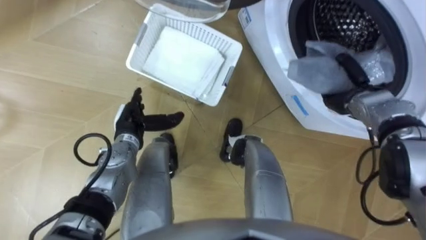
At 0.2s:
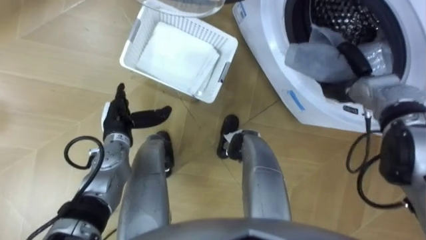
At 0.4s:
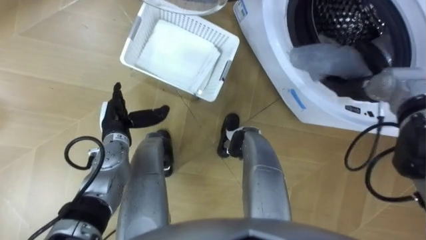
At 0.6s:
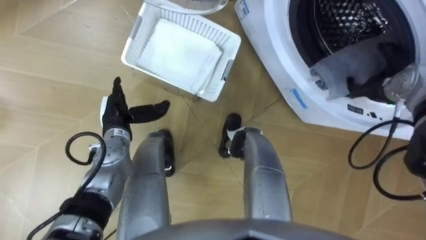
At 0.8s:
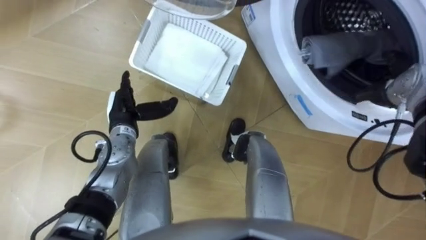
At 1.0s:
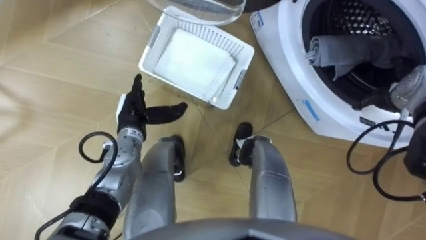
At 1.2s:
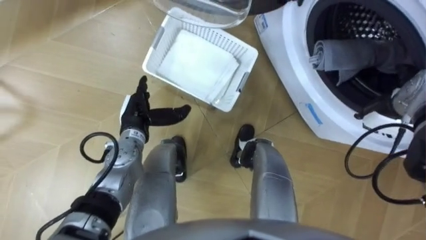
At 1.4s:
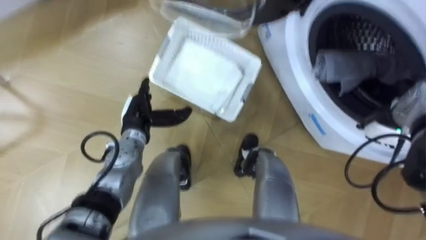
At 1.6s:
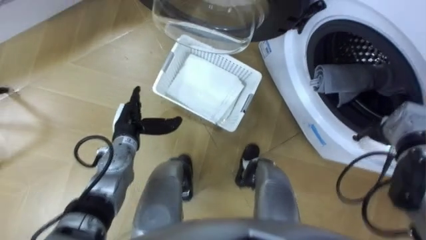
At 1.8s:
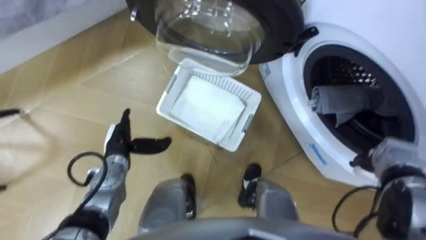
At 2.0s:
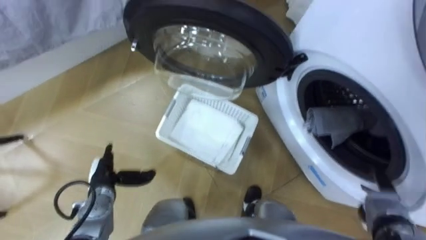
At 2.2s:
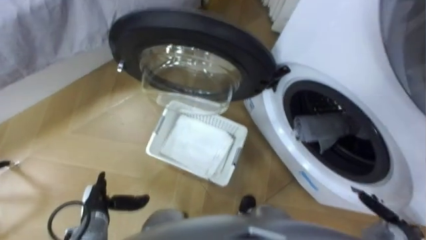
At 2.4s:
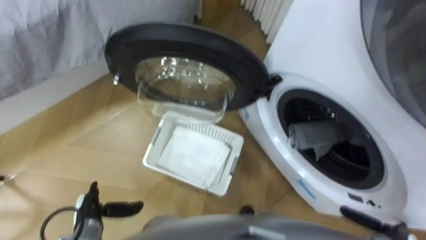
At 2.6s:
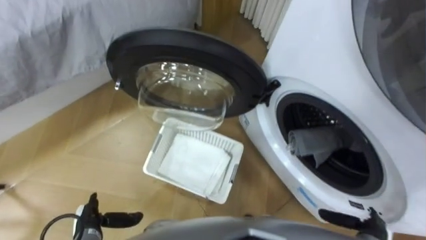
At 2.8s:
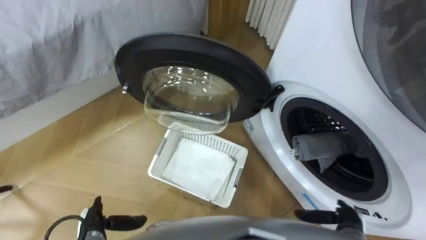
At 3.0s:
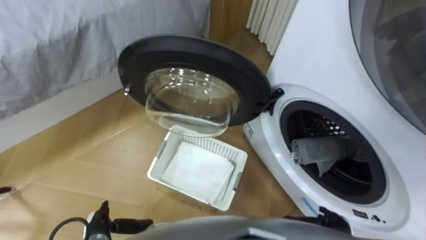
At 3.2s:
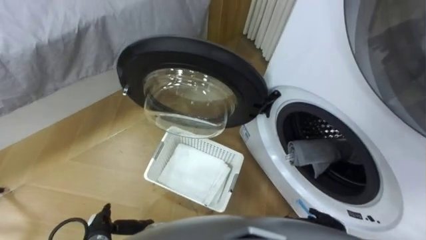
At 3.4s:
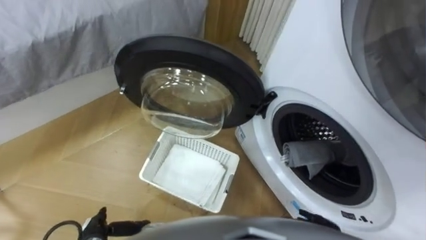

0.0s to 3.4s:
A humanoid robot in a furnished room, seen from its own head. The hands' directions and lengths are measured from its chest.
Task of the whole recording: Take the towel from the basket and put it into the washing machine.
0.0s to 1.6s: The right hand goes roughly 10 cm backward and to the right, and opens up.
1.6s to 3.4s: The left hand is displaced backward and downward by approximately 25 cm.

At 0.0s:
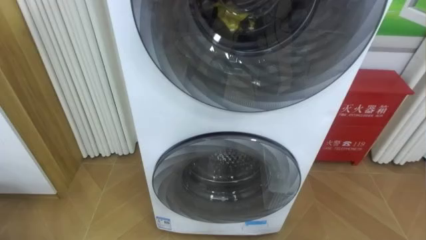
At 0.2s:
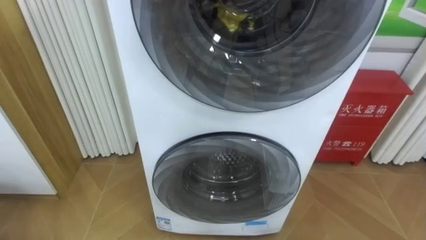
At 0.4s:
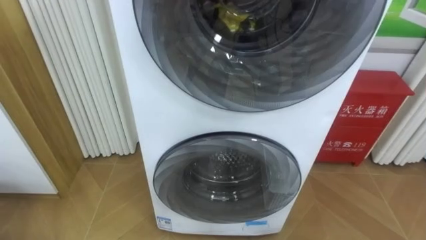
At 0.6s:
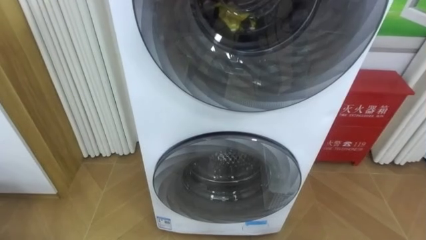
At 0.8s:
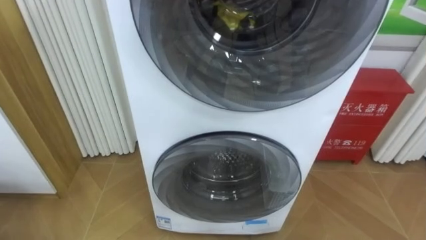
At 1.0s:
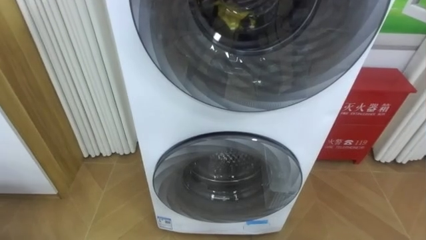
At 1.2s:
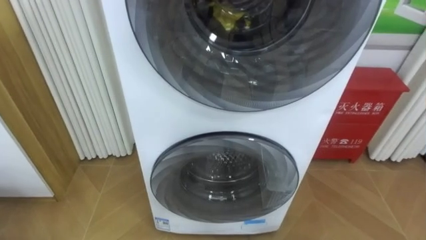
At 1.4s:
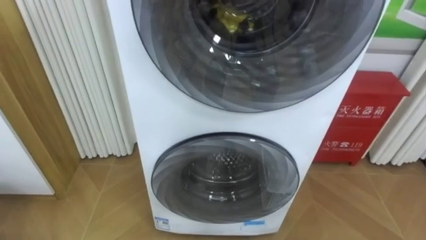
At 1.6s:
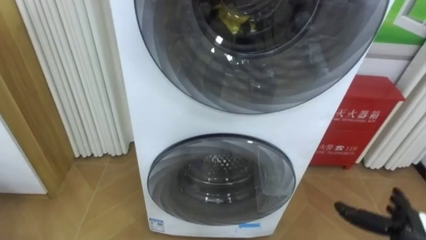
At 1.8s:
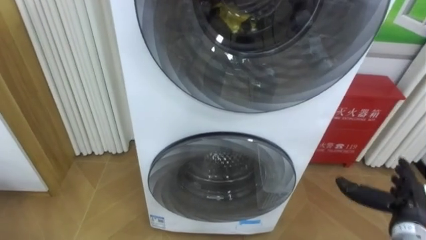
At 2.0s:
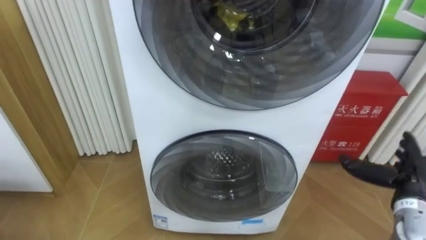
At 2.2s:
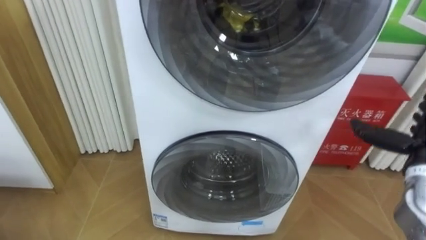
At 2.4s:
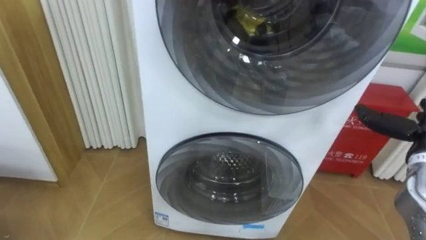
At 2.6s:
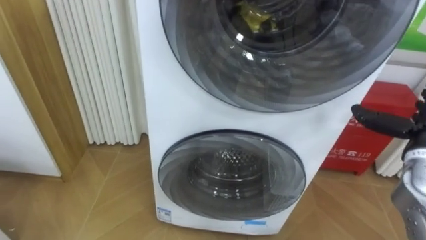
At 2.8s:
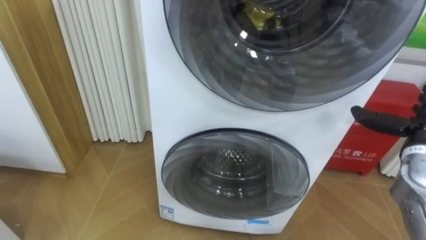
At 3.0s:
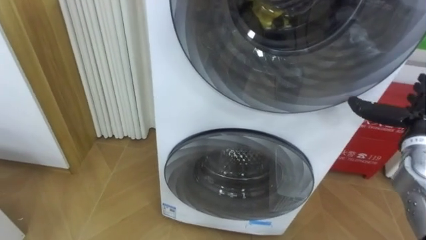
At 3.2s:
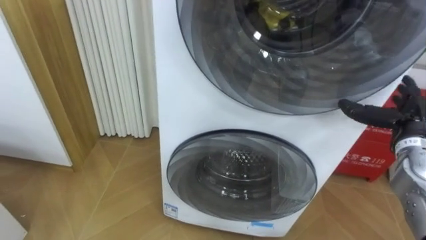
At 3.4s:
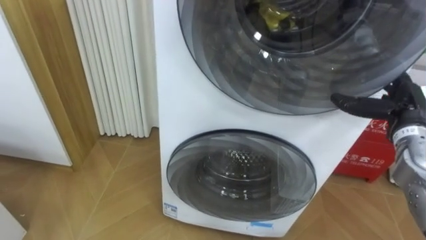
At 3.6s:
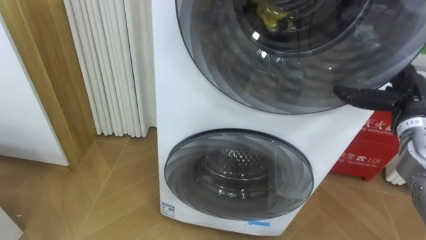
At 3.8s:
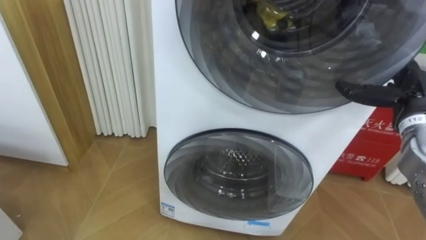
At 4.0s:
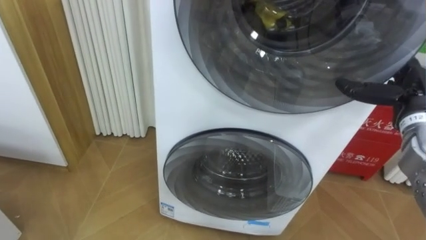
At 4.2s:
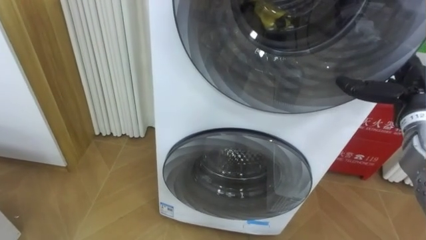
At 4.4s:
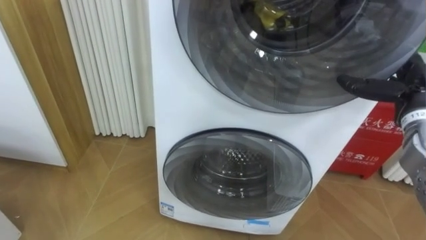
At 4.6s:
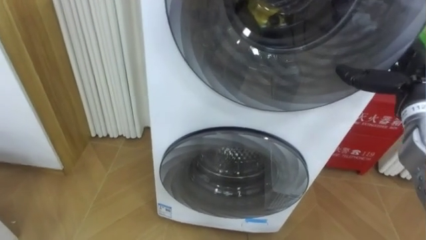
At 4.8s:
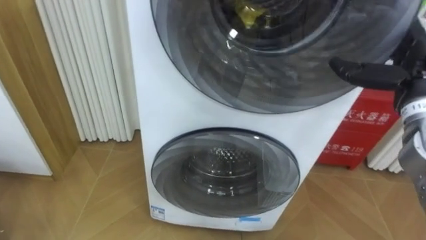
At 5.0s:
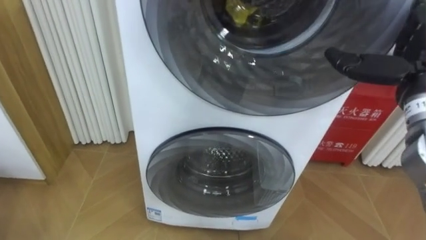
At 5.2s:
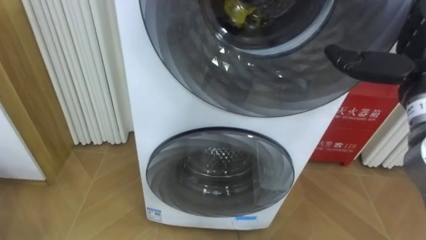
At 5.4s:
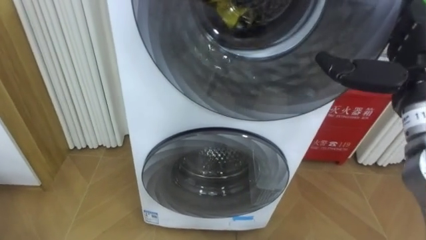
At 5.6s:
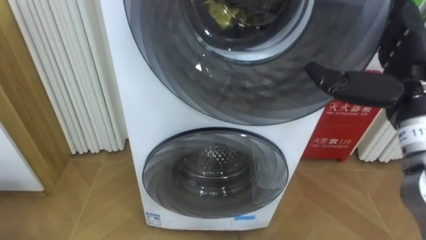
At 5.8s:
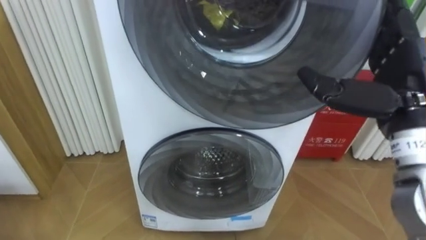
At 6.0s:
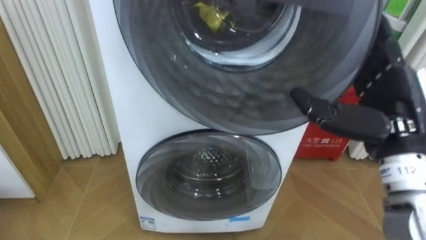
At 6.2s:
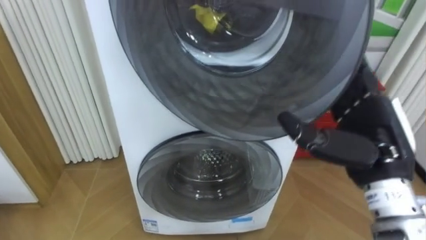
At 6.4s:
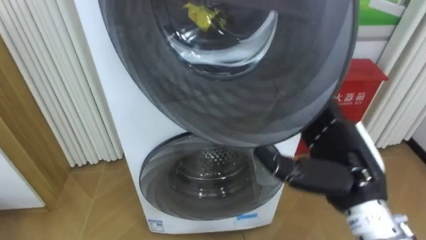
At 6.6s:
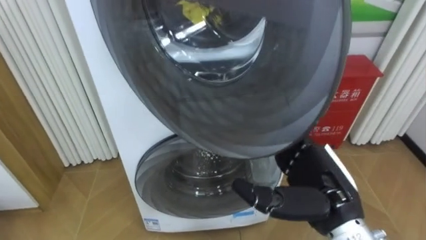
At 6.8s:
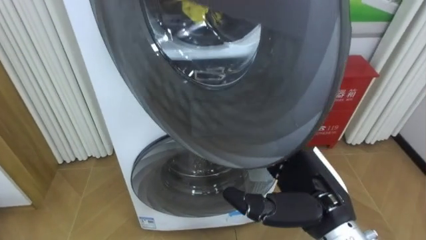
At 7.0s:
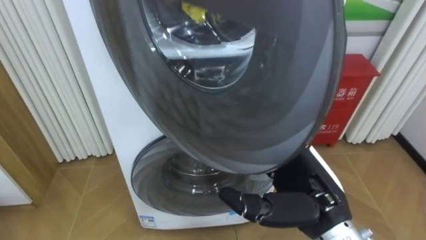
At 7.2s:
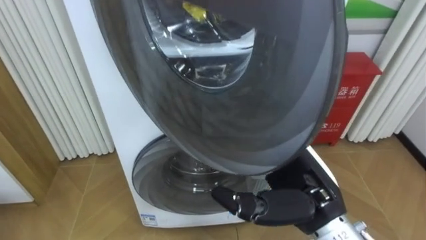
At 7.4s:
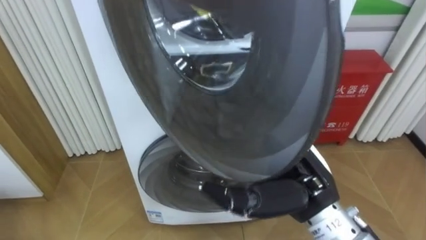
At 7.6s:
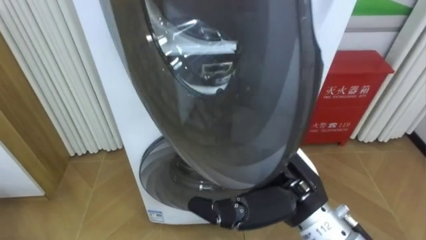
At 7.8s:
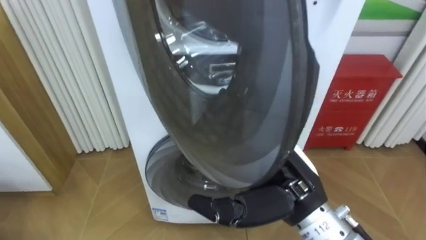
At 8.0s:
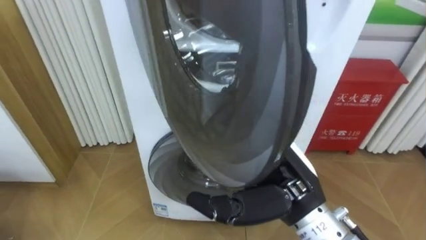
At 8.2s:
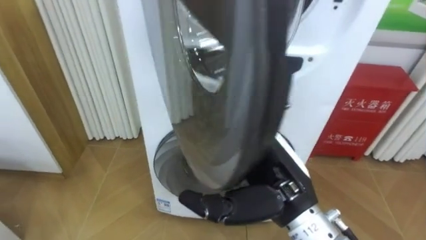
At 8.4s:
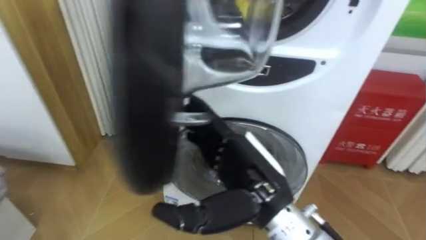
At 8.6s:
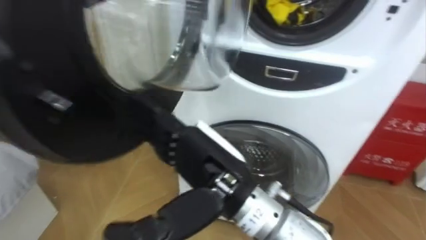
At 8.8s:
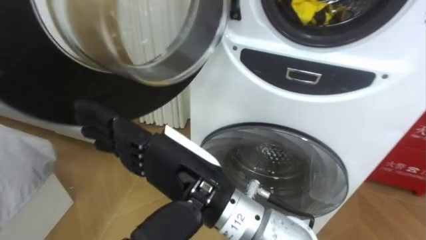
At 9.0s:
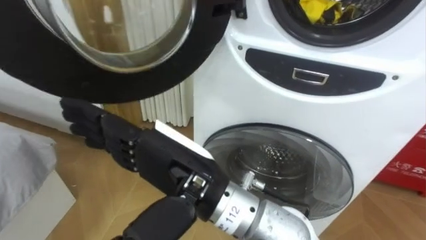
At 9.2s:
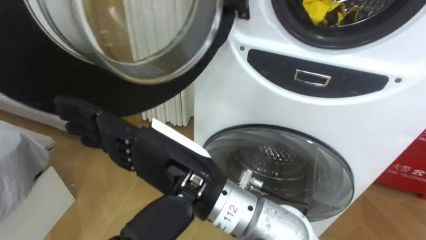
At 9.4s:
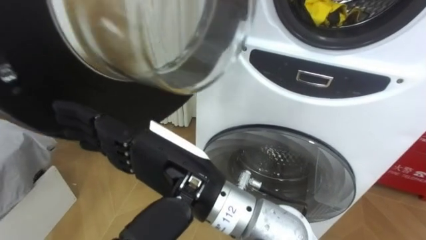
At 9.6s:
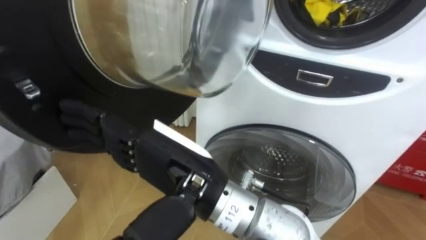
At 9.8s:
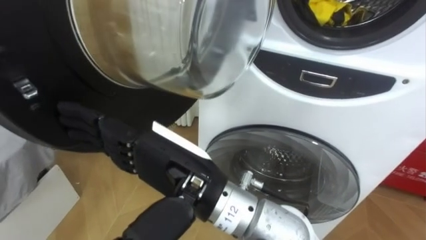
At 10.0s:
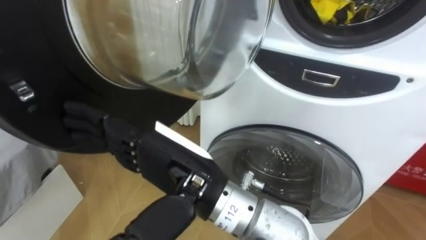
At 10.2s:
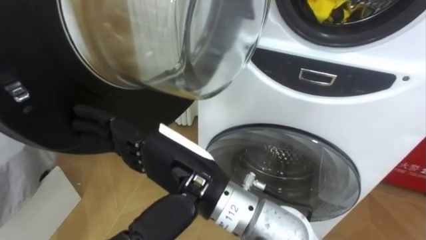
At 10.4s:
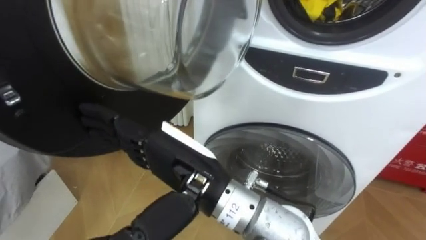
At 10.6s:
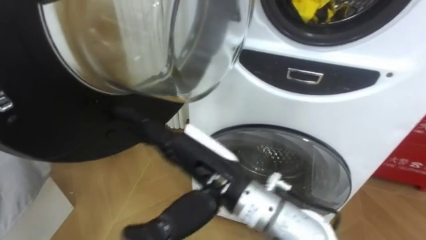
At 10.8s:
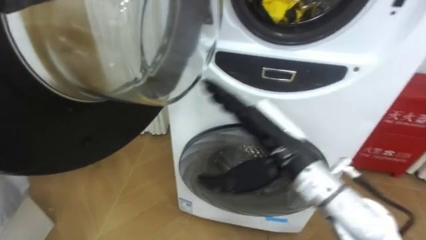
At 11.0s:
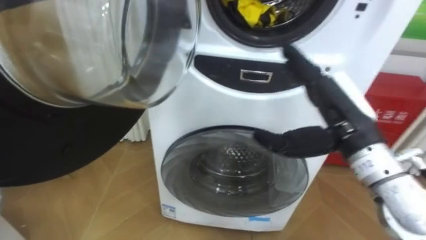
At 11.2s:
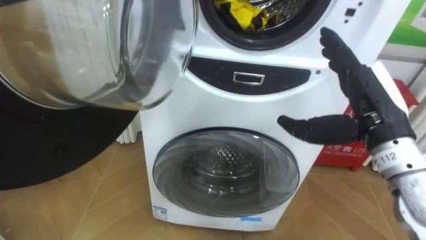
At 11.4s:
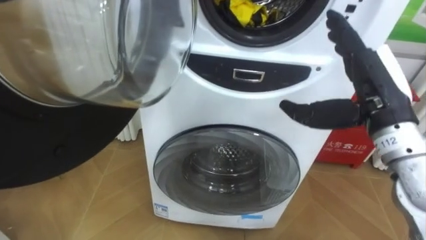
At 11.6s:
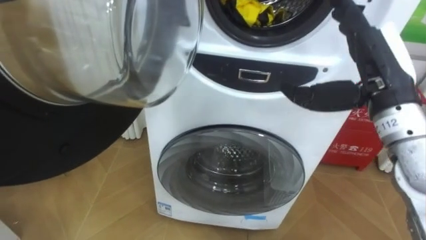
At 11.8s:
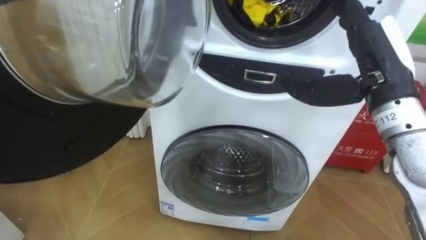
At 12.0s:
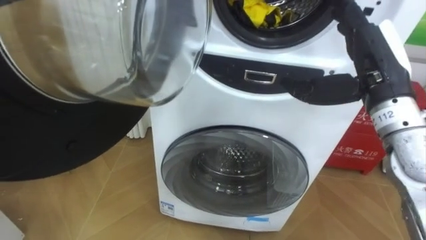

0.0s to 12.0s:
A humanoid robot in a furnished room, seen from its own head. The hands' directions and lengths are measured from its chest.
Task of the whole recording: Open the washing machine door, take out the yellow clothes, place them in the box on the right, and close the washing machine door.
3.0s to 4.4s: The right hand changes place by roughly 5 cm.
4.4s to 6.0s: The right hand goes approximately 15 cm to the left, backward and upward.
6.0s to 7.6s: The right hand moves to the left and downward, some 15 cm.
7.6s to 9.0s: The right hand goes approximately 15 cm to the left.
10.4s to 12.0s: The right hand travels to the right and forward by about 30 cm.

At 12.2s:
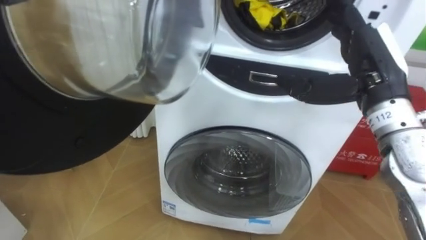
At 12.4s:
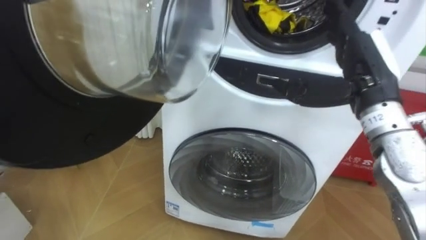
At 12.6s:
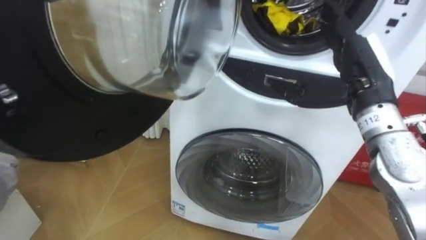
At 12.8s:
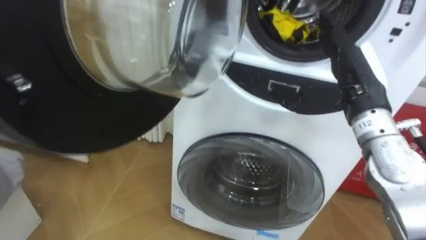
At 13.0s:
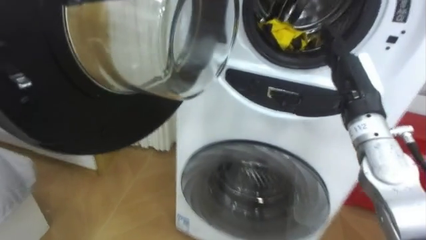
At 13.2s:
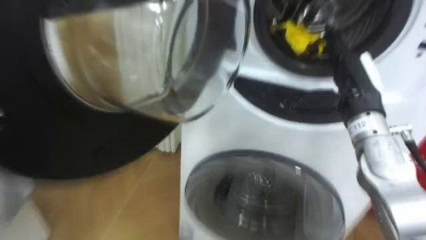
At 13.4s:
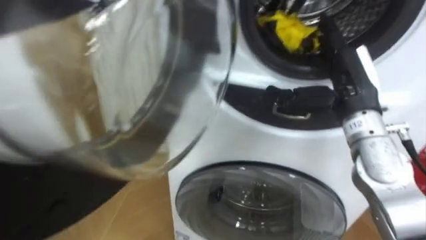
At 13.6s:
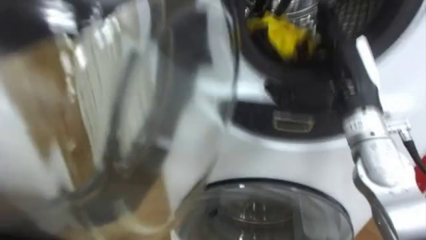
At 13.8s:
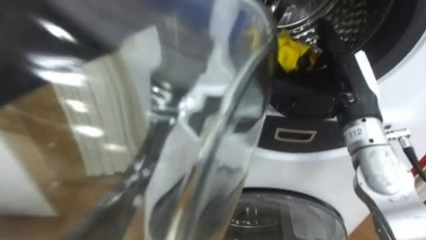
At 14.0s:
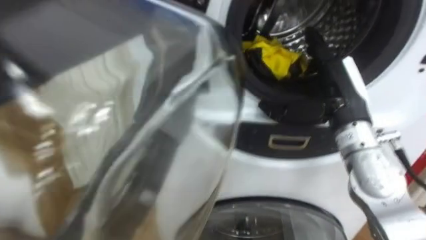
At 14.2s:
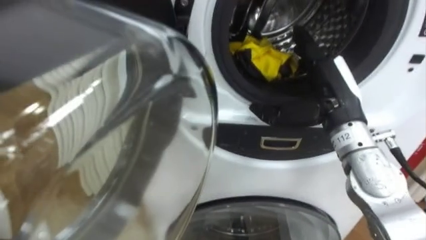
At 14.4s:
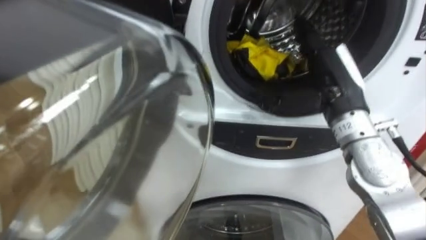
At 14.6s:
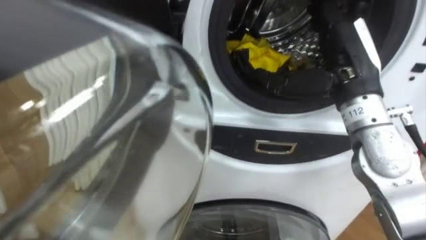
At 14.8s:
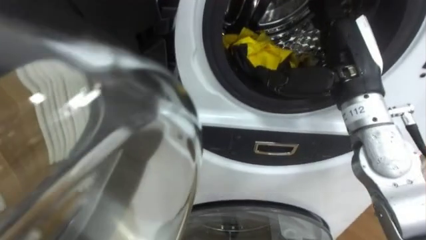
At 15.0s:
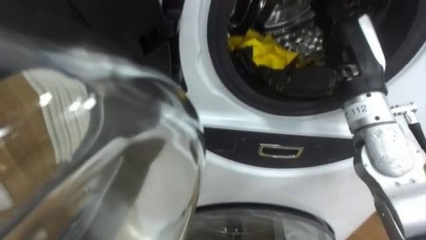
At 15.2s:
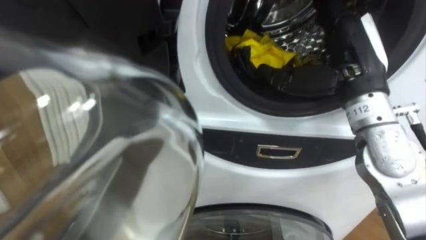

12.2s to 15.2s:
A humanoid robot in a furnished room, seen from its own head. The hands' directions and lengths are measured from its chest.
Task of the whole recording: Open the washing machine door, take out the yellow clothes, place them in the box on the right, and close the washing machine door.
13.8s to 15.2s: The right hand shifts roughly 5 cm upward.
